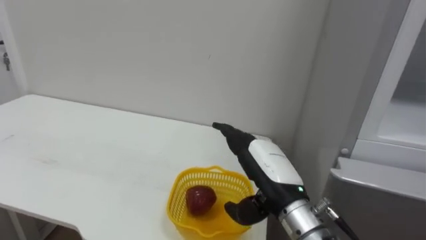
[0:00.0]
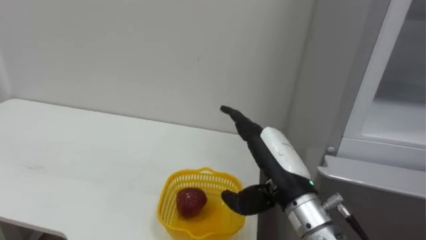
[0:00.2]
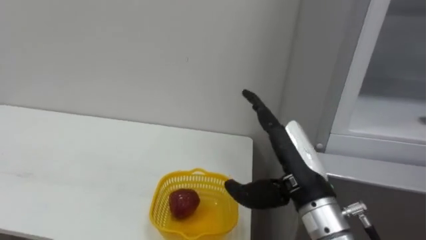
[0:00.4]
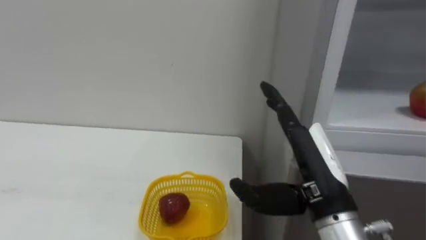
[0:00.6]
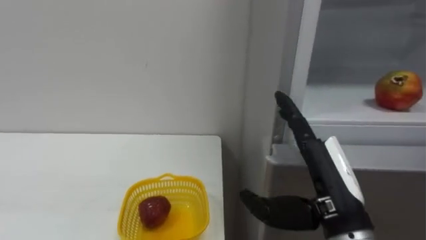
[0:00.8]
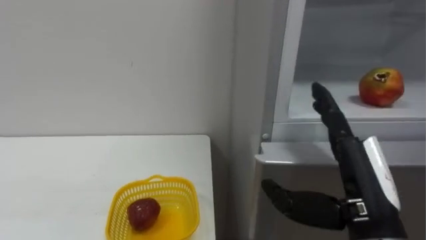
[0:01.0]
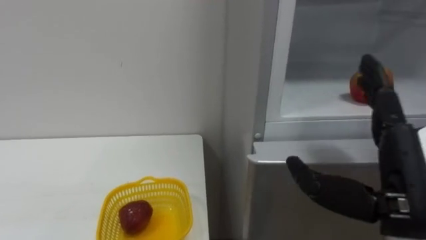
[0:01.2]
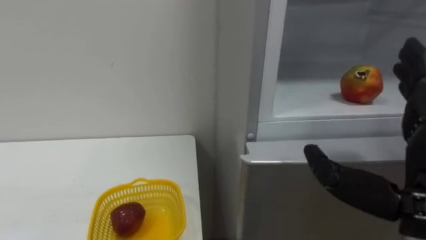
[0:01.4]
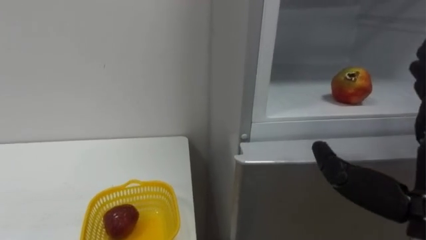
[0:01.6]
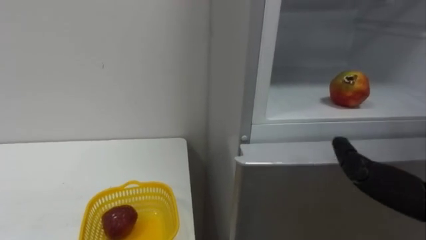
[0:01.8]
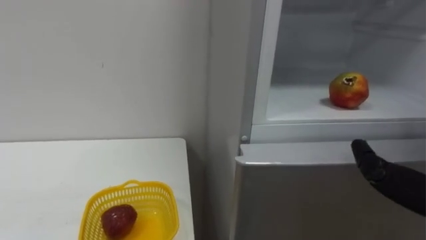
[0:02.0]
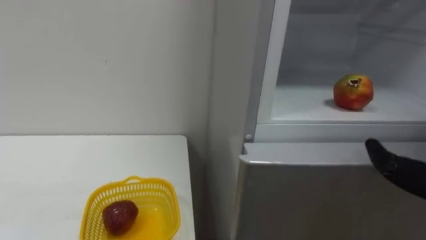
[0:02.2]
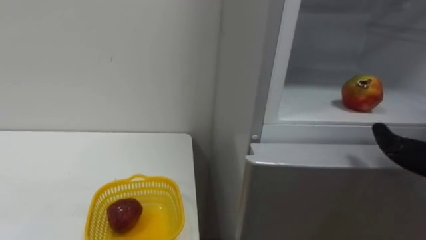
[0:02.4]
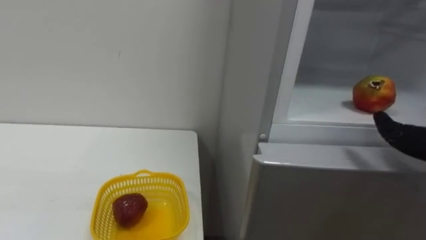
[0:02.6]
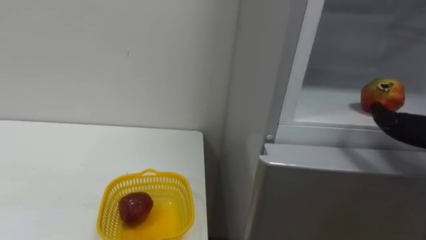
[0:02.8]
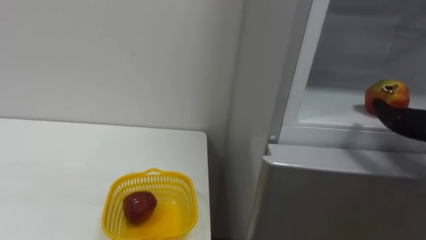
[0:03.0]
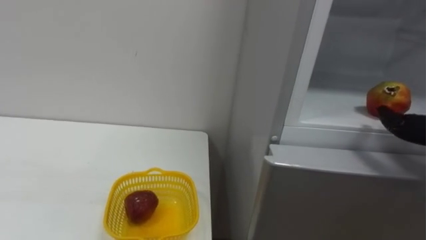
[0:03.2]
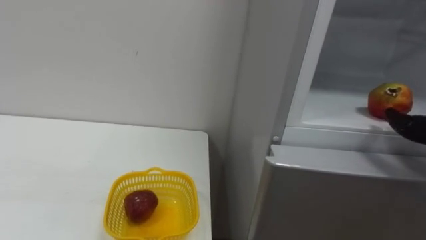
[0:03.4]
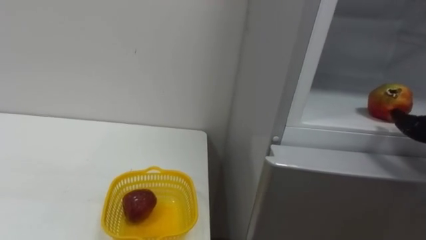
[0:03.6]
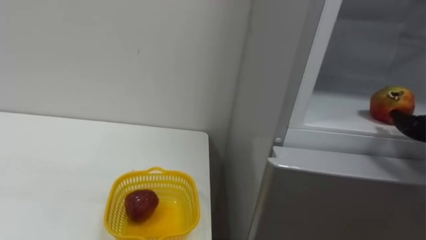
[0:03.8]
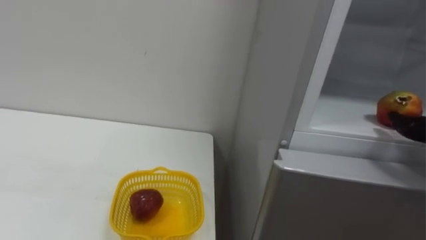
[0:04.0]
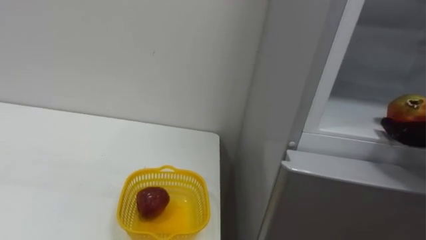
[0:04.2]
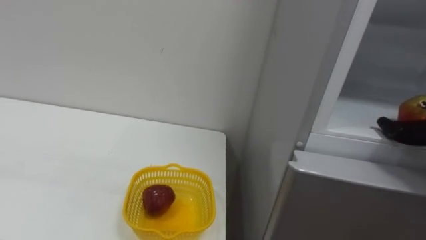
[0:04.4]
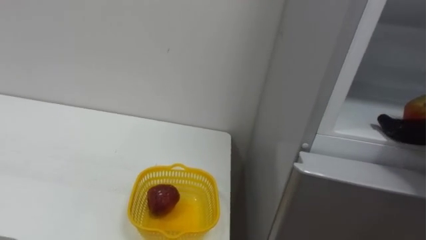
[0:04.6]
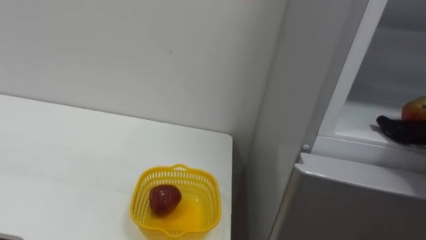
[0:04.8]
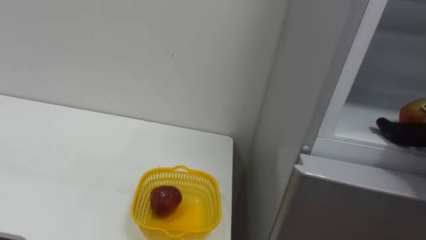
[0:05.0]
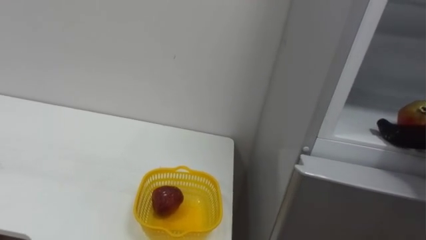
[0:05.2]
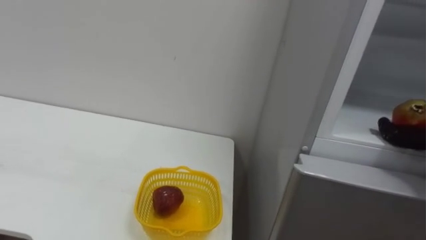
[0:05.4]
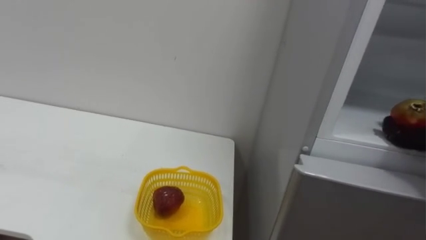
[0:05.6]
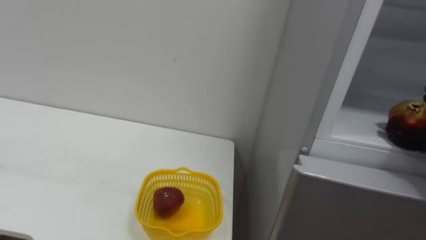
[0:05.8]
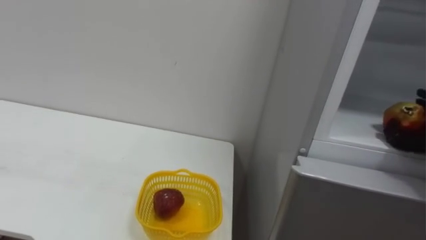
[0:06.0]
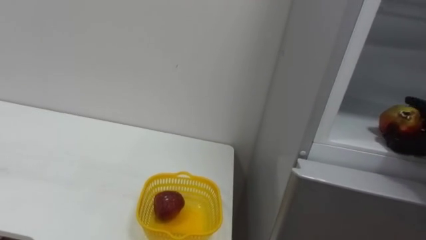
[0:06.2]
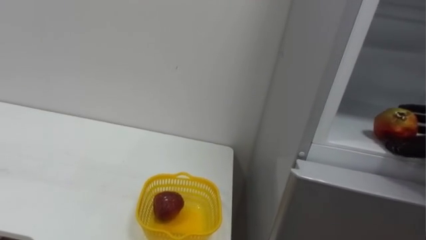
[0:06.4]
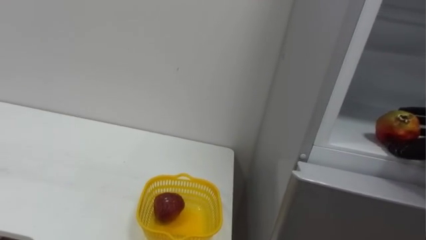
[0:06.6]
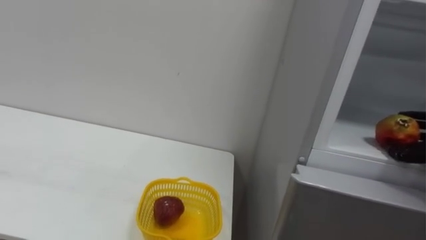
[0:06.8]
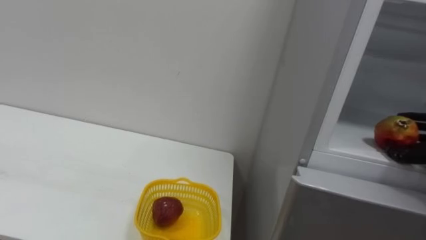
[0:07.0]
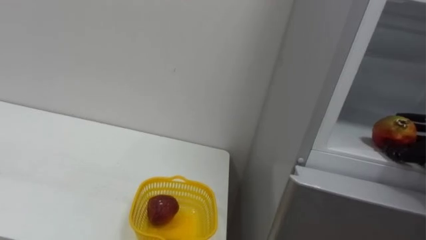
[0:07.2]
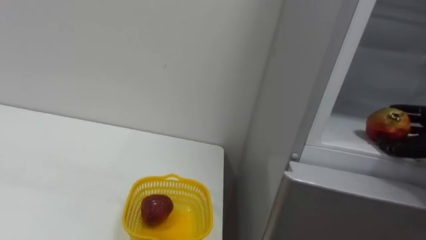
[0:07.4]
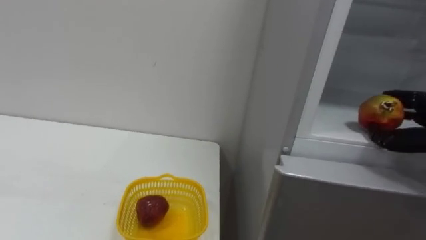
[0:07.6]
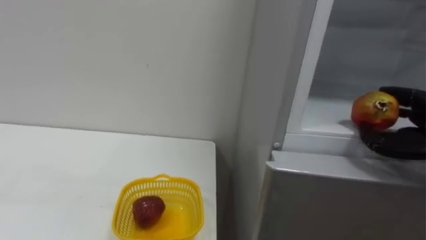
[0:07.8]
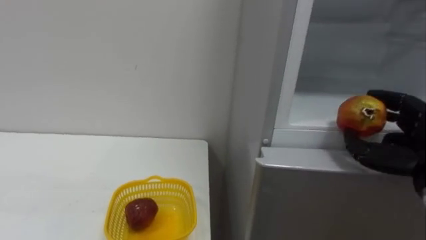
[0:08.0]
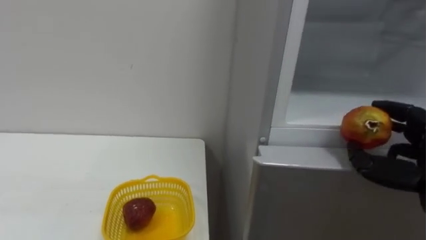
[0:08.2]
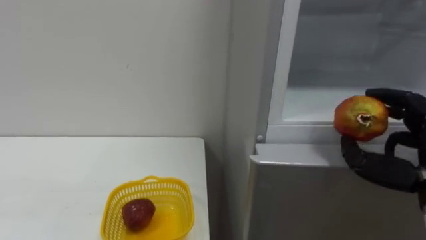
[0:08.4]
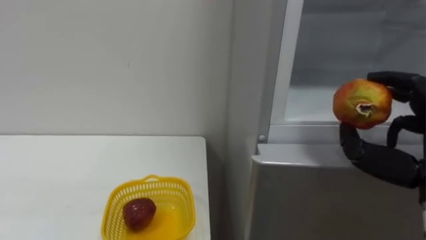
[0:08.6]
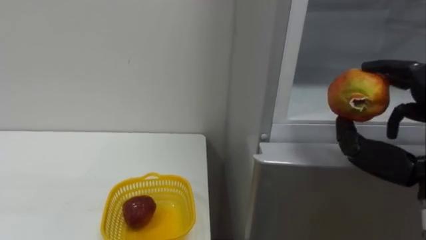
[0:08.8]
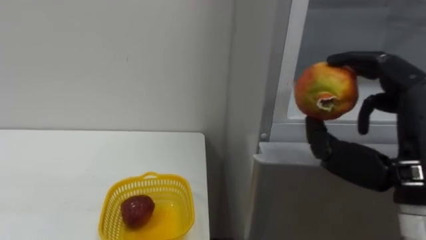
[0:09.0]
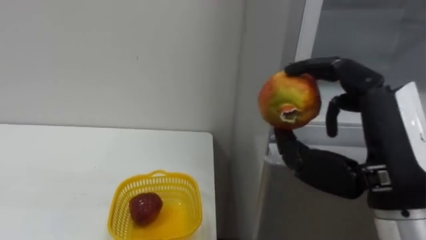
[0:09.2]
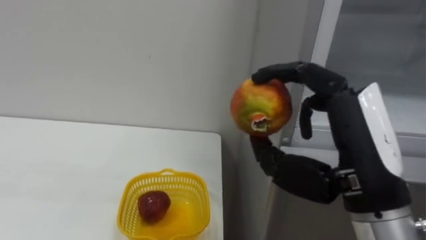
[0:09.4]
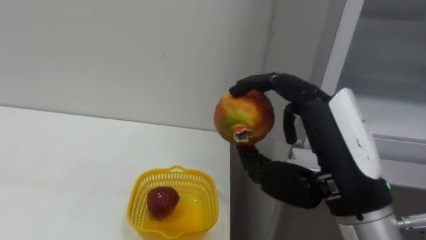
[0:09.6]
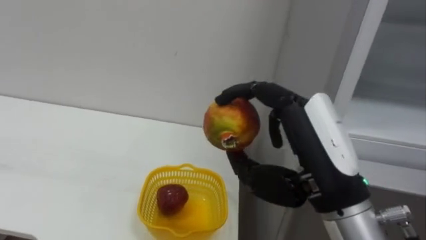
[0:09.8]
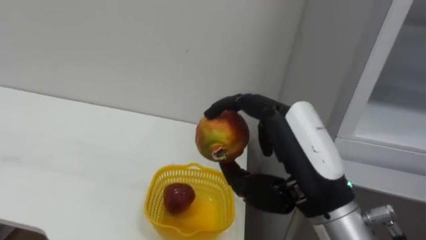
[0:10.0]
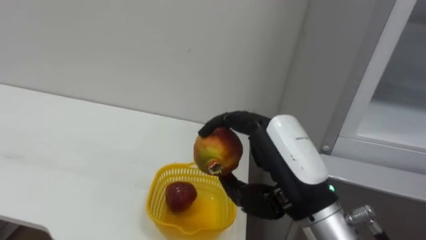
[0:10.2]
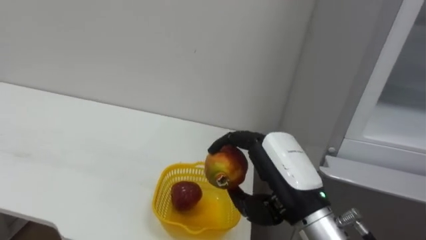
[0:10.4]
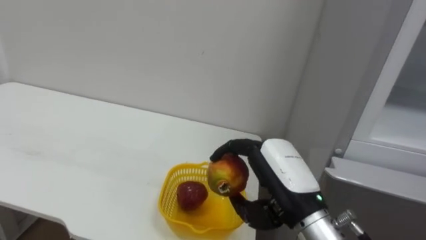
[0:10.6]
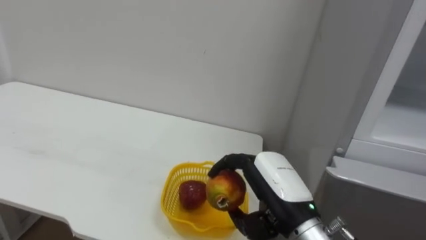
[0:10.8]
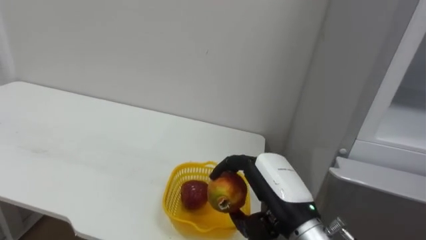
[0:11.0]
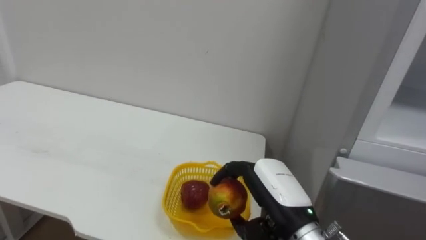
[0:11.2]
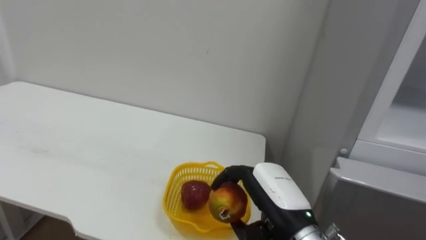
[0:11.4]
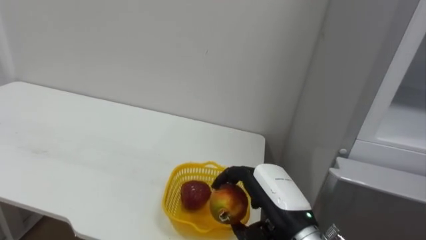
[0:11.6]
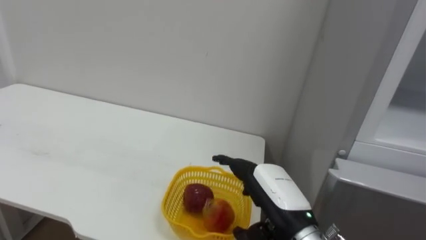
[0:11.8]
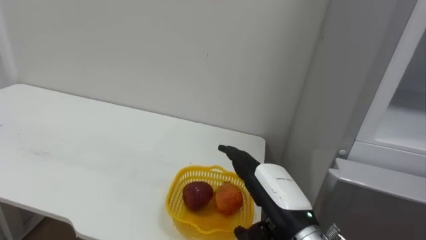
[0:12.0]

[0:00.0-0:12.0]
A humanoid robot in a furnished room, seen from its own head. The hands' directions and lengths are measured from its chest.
Task of the whole recording: Open the refrigerator door, take out the apple and the pomegranate, place them in the fruit basket on the left, and close the refrigerator door.
0:00.0 to 0:01.6: The right hand moves to the right, backward and upward, some 20 cm.
0:09.0 to 0:10.4: The right hand heads to the left and downward, covering some 15 cm.
0:10.4 to 0:12.0: The right hand heads downward, covering roughly 5 cm, and opens up.

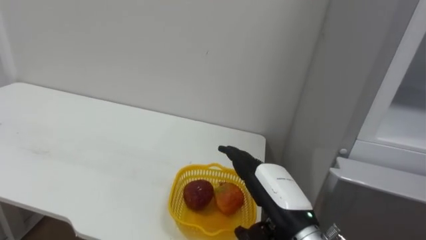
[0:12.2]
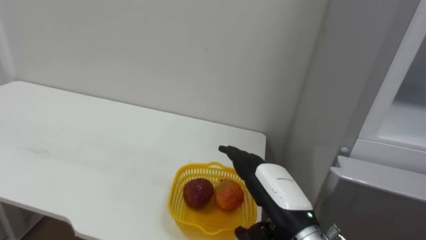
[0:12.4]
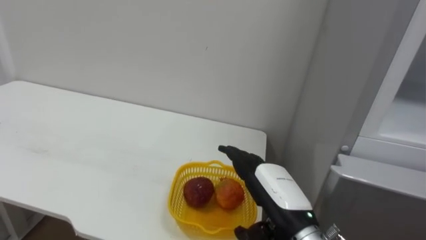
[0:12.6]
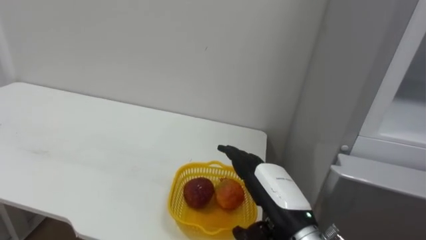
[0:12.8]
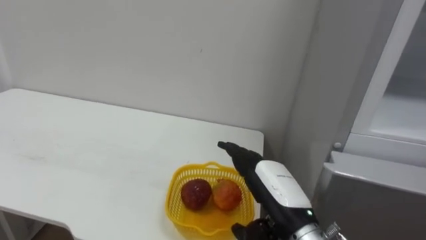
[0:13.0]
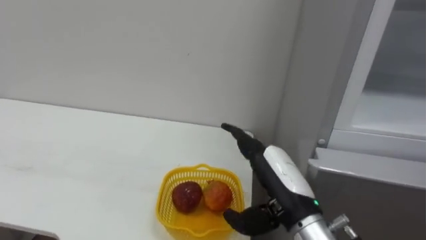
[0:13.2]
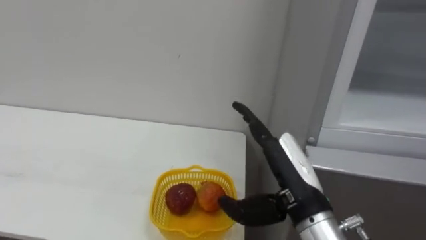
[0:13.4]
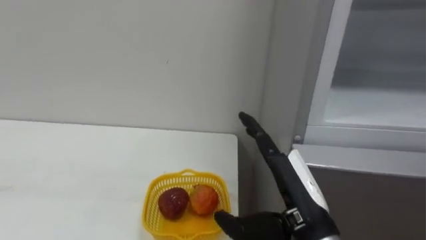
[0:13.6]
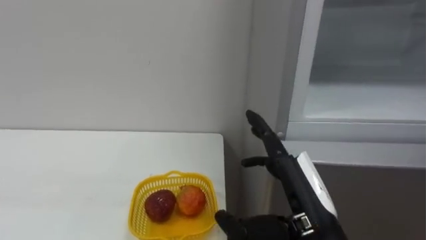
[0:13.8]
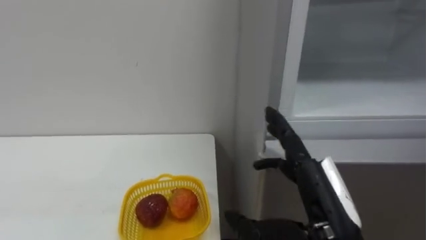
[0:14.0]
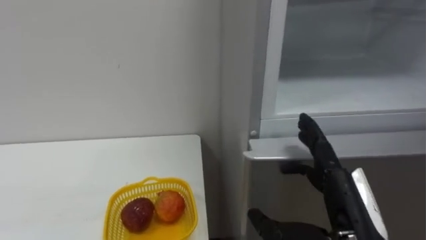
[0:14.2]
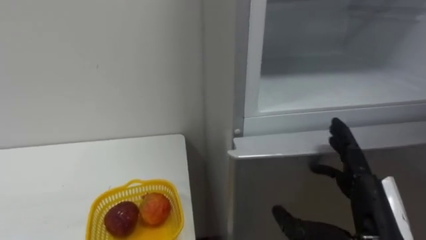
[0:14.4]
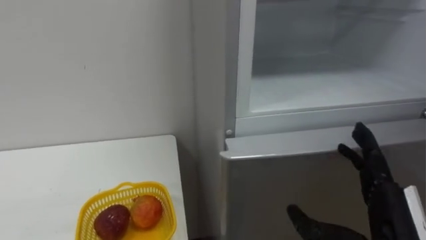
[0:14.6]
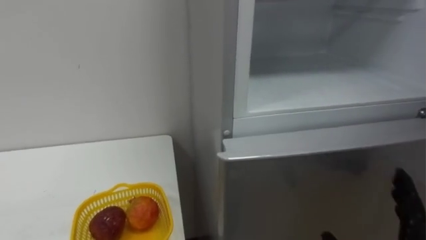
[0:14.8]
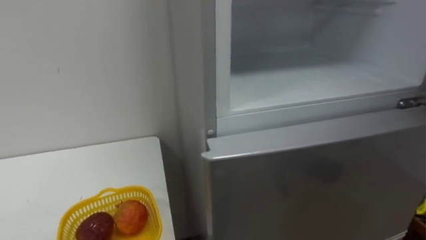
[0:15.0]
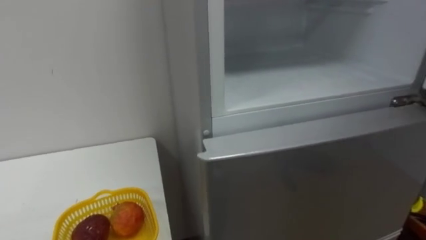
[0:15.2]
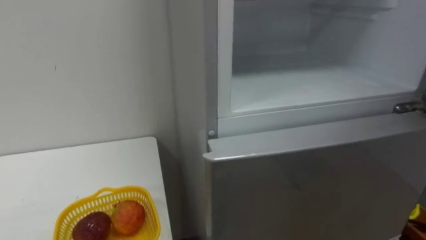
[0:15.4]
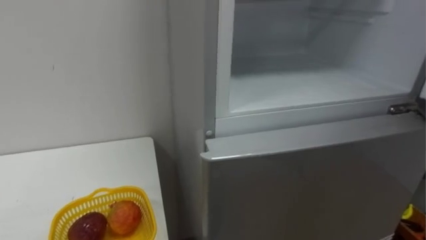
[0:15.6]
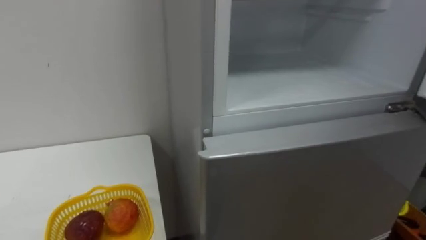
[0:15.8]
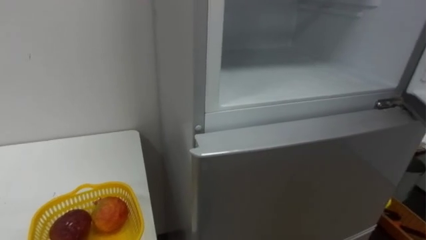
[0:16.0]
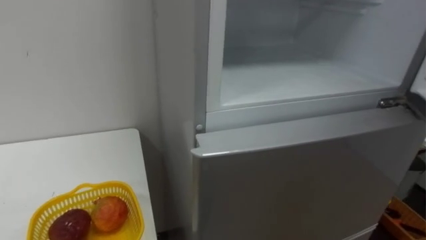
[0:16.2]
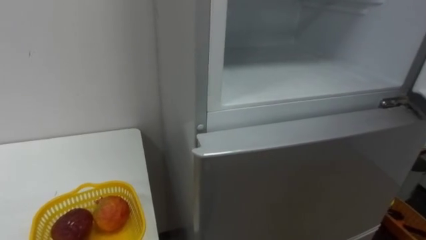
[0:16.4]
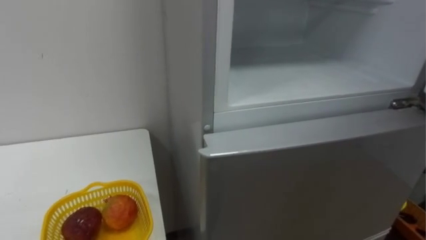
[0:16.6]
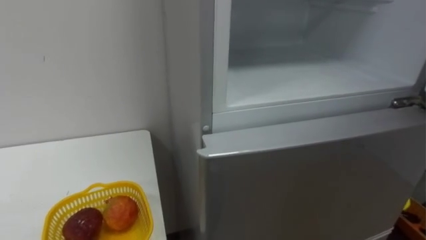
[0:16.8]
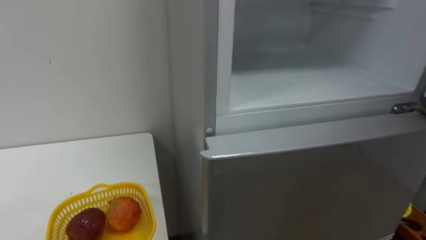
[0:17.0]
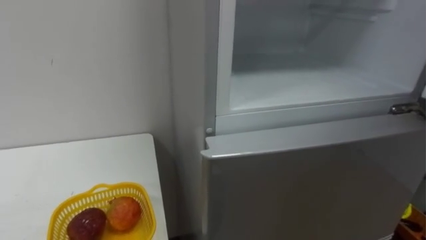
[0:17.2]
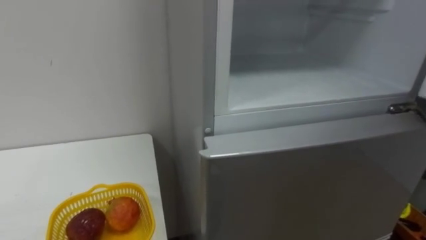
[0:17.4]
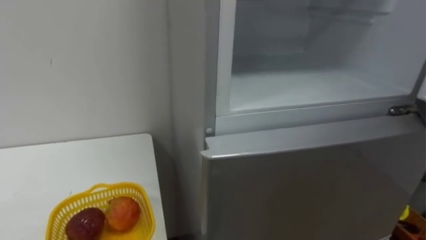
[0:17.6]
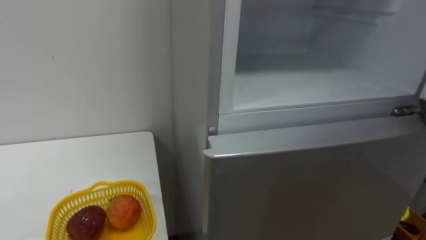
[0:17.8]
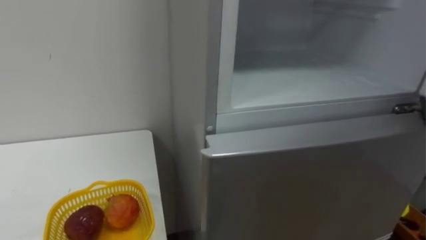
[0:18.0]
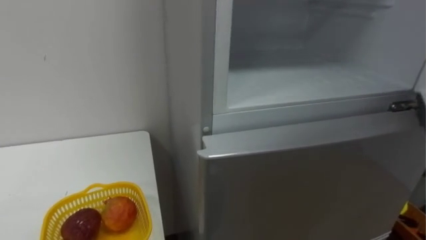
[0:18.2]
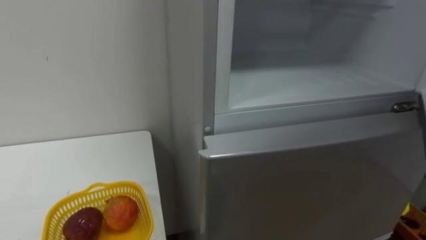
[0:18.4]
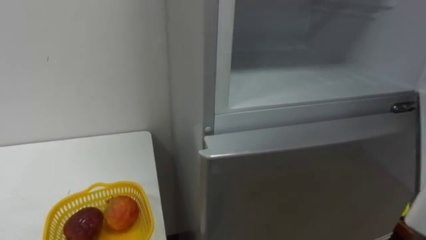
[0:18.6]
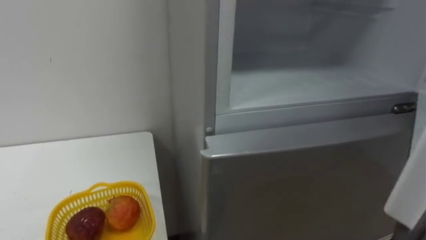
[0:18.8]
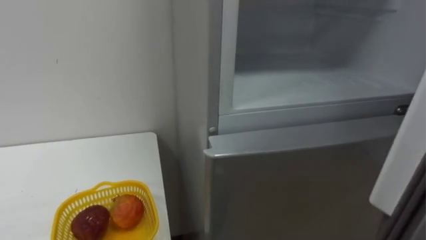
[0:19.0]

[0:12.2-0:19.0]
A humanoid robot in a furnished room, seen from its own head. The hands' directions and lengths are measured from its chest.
Task of the whole recording: Open the refrigerator door, take out the apple and the pomegranate, place them in the fruit basket on the left, and close the refrigerator door.
0:12.2 to 0:13.6: The right hand moves upward, some 5 cm.
